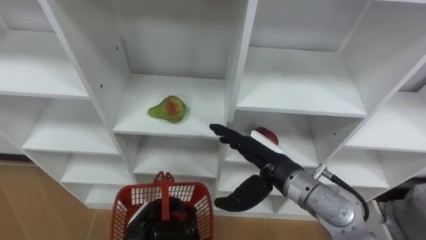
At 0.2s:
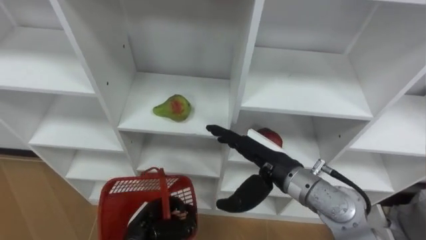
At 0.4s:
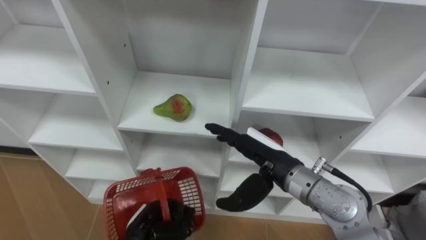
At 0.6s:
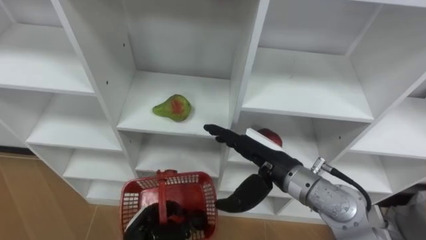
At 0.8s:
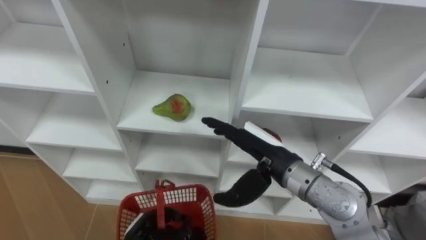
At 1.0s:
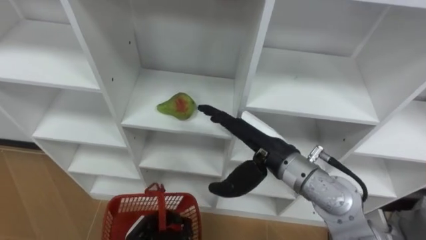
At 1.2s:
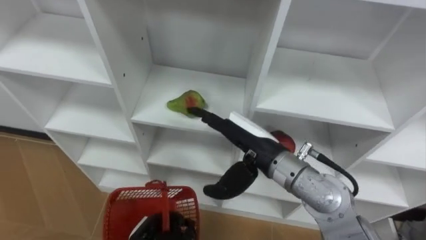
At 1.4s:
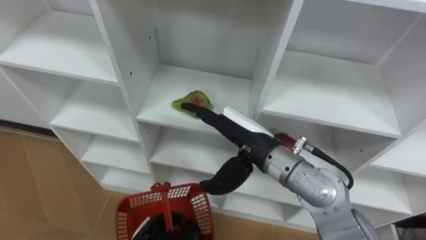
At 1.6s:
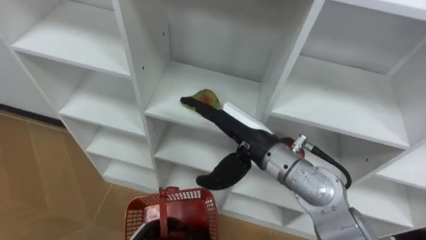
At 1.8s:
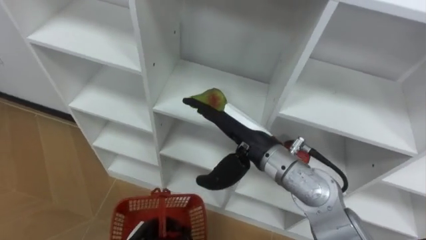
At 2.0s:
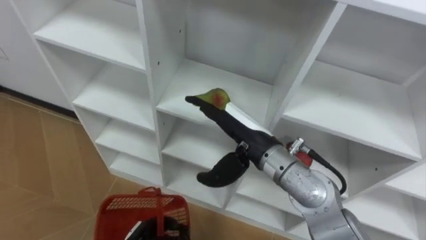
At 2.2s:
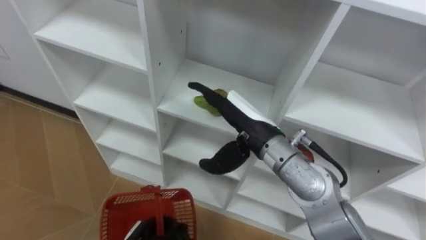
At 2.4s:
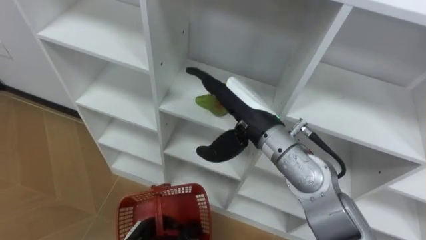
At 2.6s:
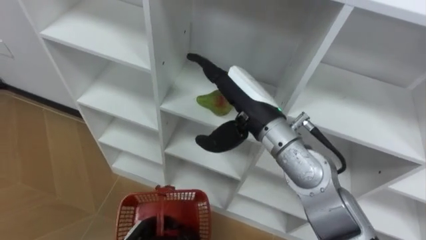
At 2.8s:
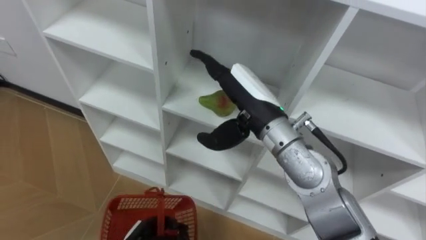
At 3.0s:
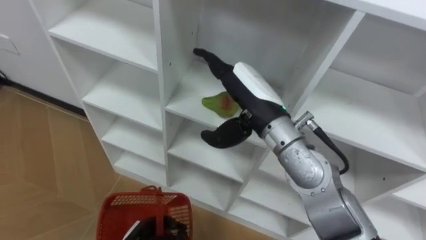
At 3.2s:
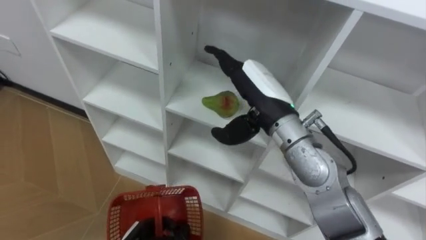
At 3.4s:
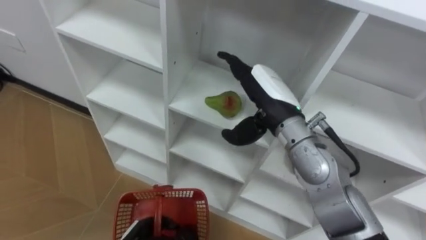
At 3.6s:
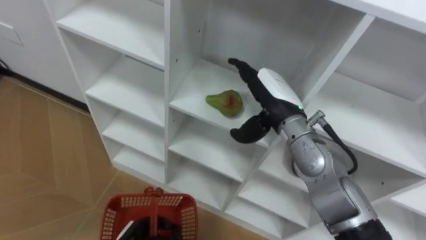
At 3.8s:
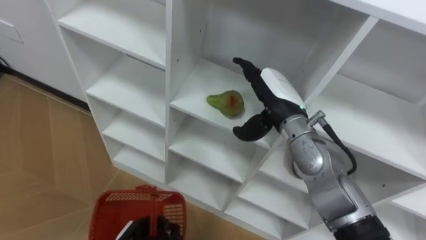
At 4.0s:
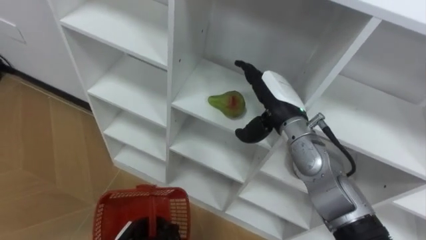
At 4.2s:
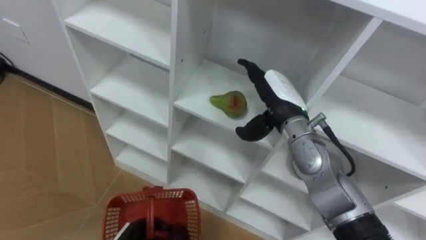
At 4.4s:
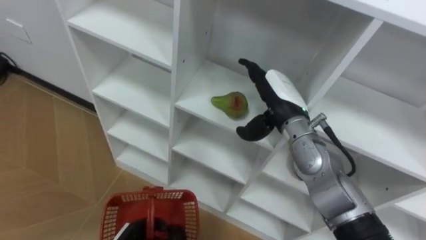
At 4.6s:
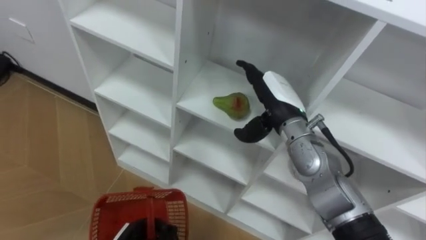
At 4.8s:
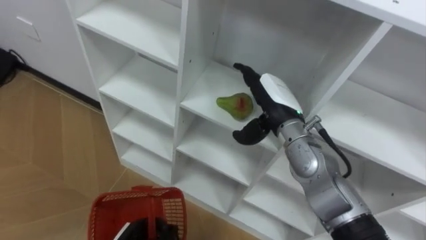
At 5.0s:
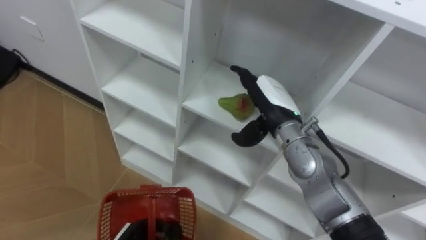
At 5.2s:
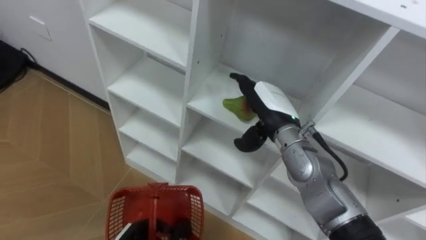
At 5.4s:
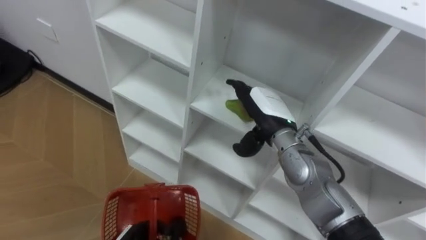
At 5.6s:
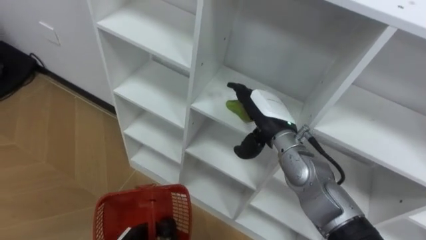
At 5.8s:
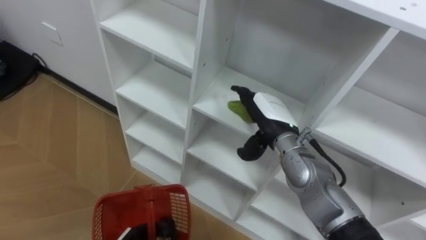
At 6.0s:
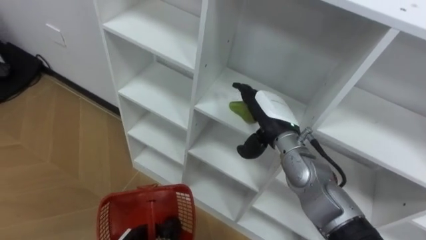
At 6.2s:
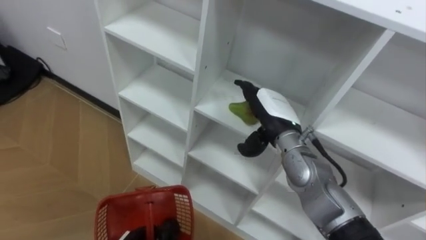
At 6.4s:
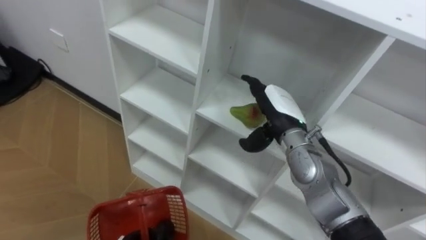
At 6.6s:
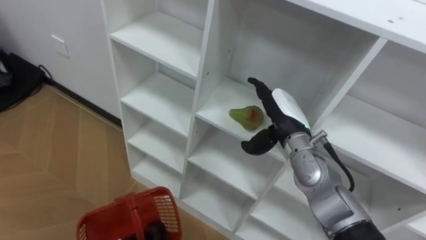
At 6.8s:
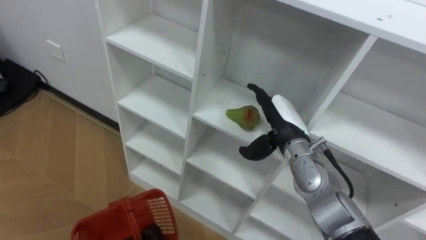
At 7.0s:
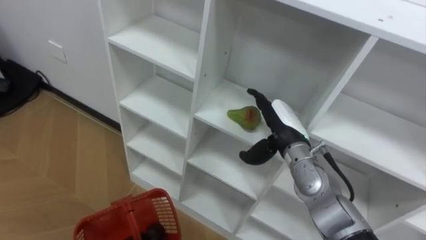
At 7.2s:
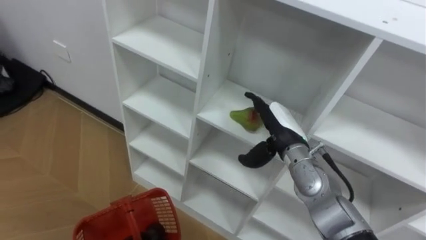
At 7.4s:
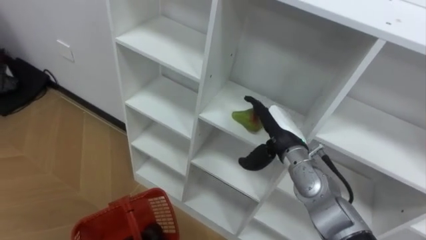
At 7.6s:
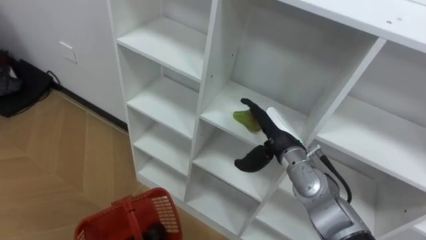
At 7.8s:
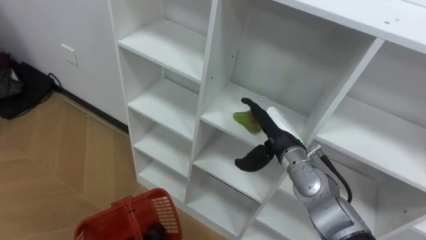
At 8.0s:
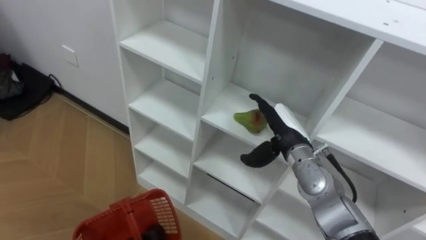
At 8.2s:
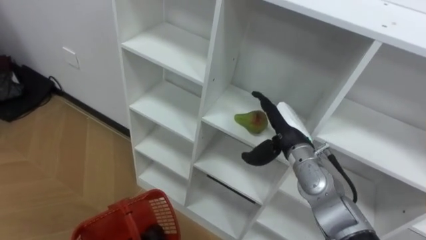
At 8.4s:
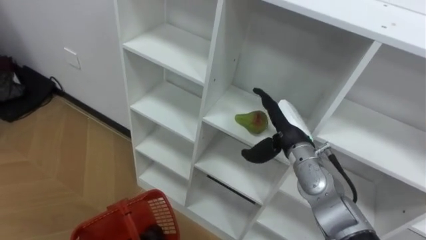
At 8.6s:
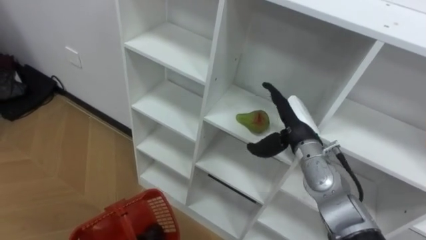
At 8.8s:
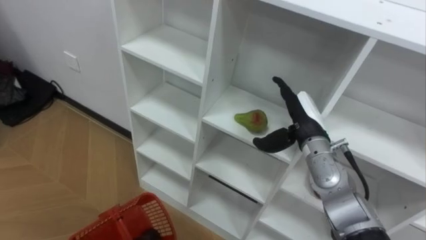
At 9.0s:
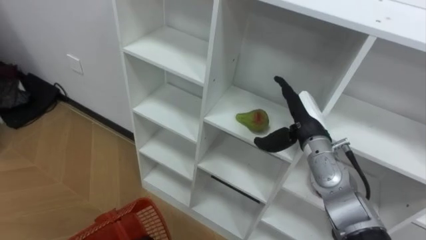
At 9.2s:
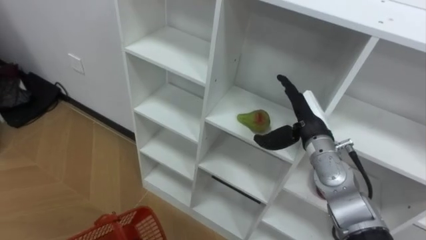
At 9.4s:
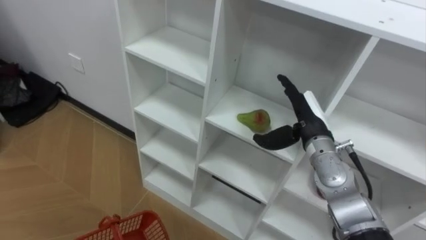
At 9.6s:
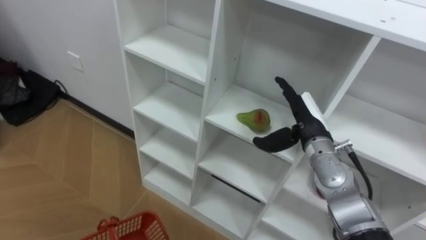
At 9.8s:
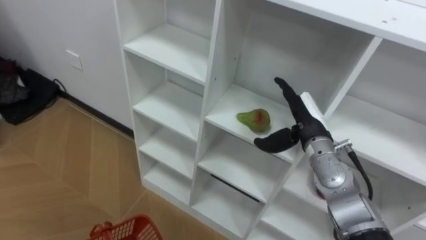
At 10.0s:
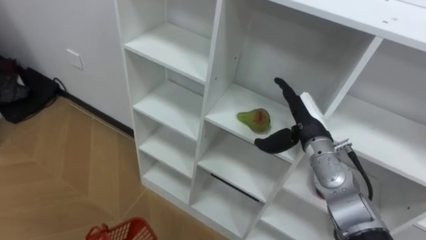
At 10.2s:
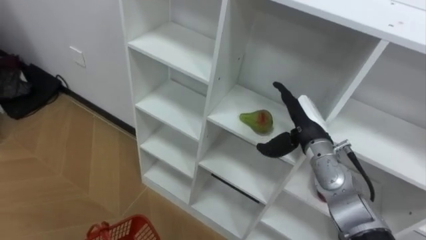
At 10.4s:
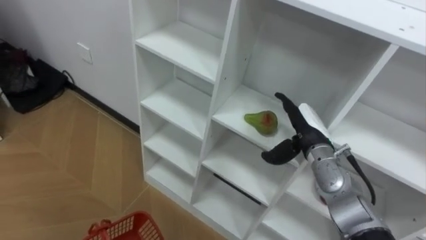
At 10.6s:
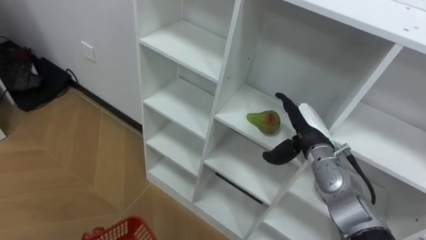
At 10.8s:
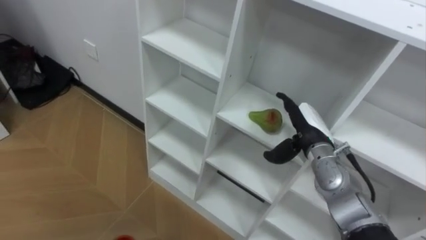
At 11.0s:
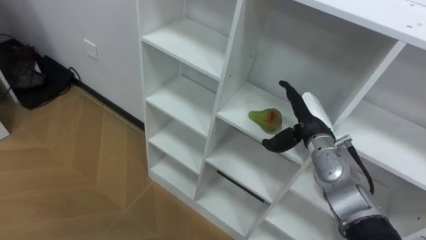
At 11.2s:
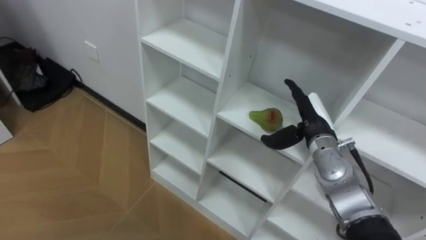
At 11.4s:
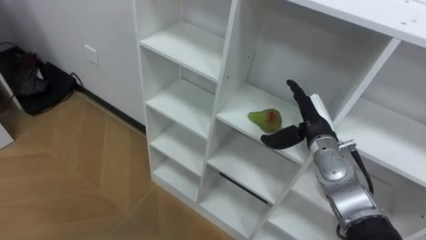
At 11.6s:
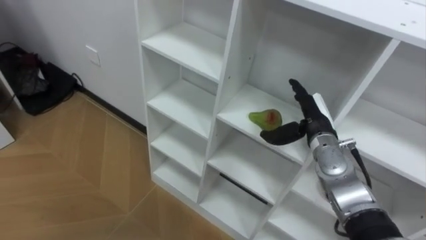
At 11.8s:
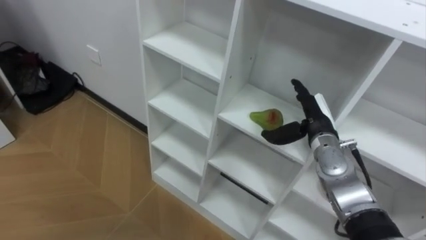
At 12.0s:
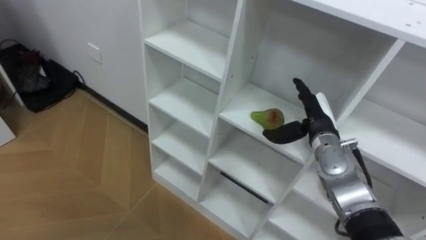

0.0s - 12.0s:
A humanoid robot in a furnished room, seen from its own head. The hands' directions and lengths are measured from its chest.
Task of the whole recording: Hold the basket and collect the fruits from 3 different cells of the closet into it.
0.0s - 1.6s: The right hand travels upward by approximately 5 cm.
1.6s - 3.0s: The right hand moves roughly 5 cm.
3.0s - 4.4s: The right hand heads downward and to the right, covering some 10 cm.
7.6s - 9.0s: The right hand is displaced to the right by about 5 cm.

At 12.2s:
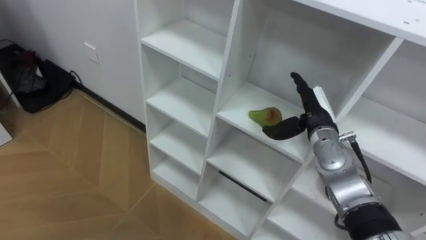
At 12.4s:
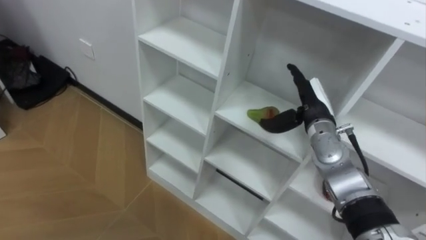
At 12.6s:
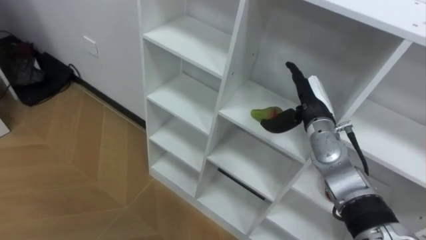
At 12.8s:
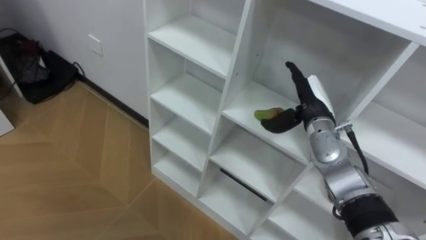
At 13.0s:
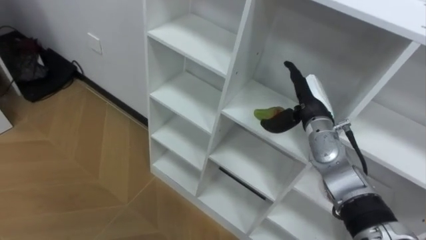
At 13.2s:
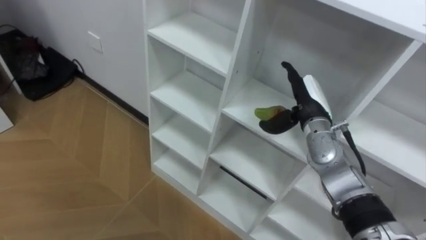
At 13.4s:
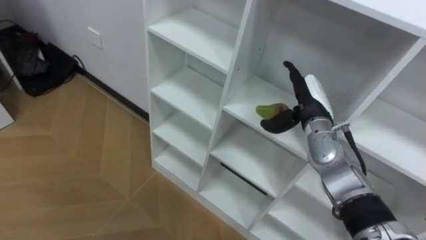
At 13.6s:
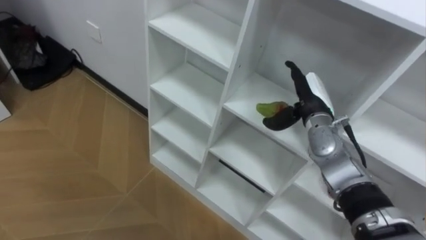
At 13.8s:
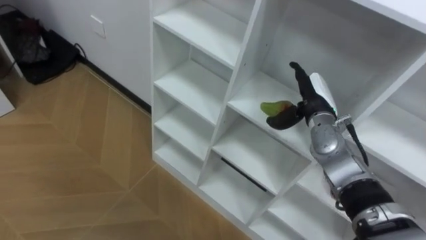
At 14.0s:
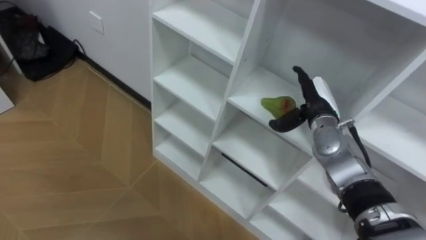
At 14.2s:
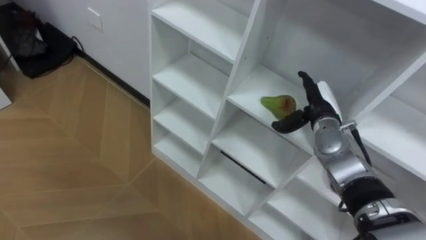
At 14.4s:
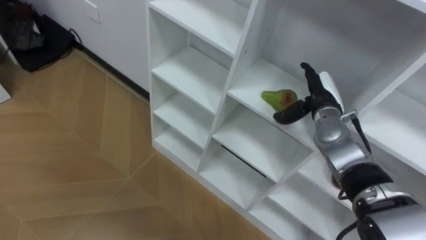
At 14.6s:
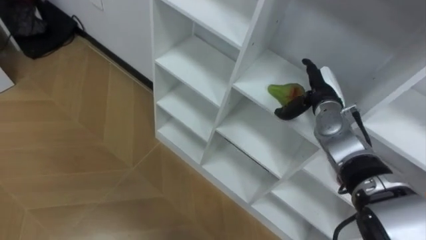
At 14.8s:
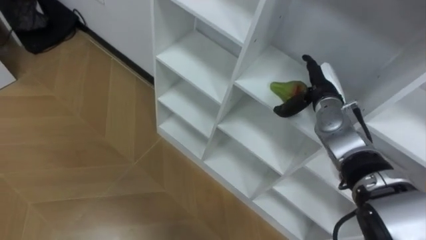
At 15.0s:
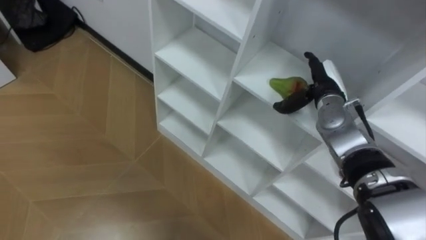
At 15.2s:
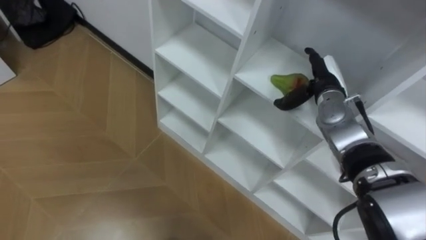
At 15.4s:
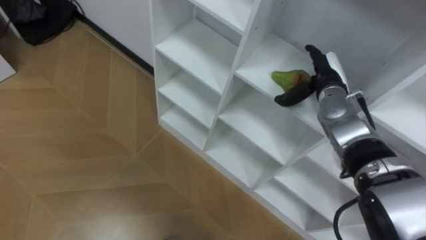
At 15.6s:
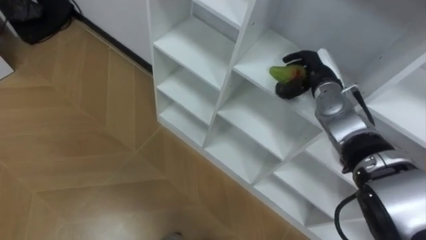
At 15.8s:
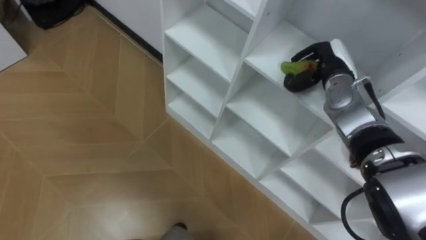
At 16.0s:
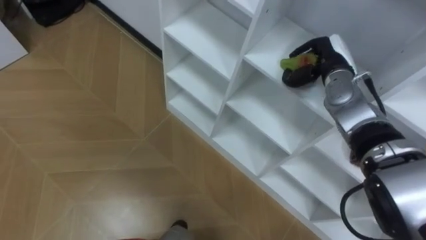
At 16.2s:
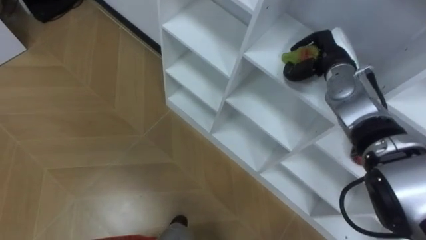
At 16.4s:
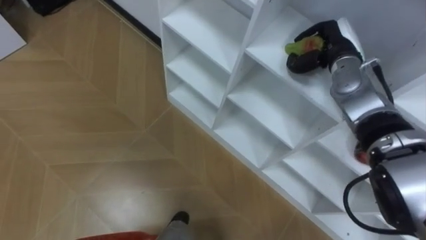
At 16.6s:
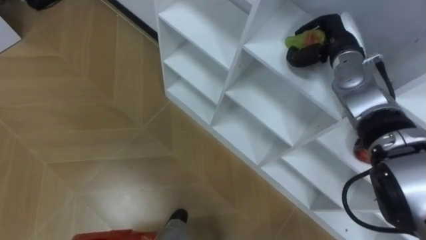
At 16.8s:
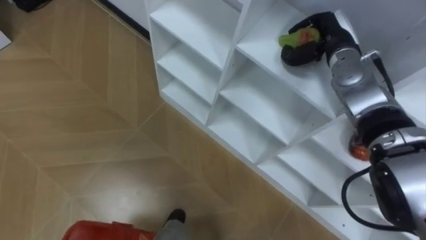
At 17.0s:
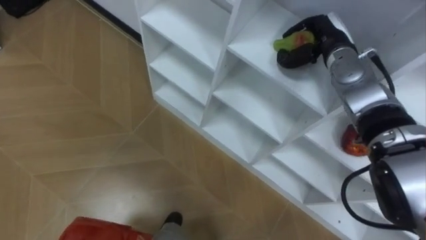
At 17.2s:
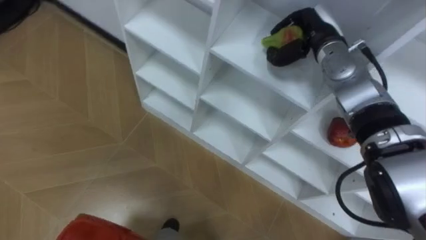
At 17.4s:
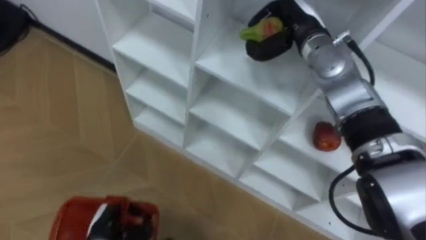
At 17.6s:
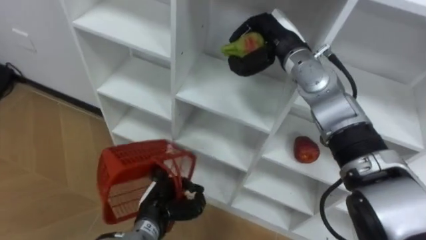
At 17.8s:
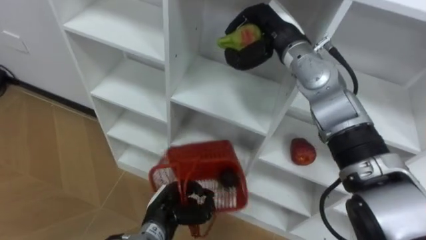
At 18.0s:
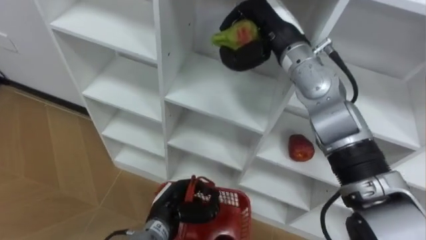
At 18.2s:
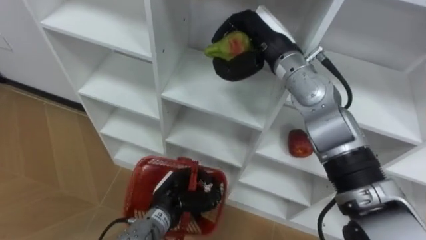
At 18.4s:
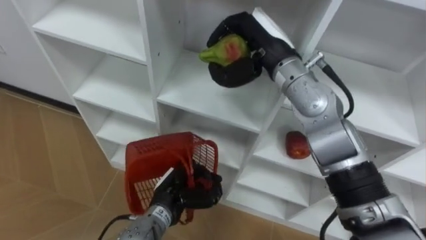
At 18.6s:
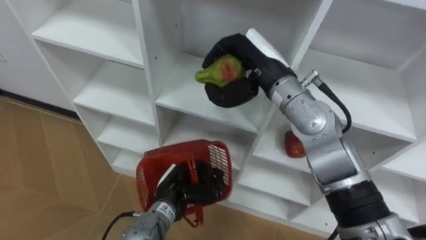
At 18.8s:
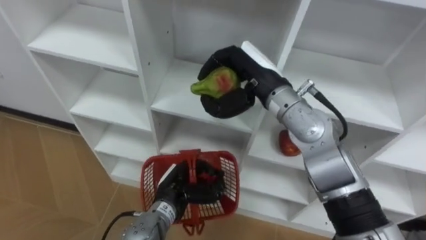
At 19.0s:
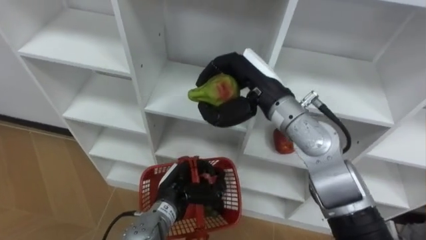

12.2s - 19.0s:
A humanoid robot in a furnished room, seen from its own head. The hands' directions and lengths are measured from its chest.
Task of the whole recording: Hold the basket and collect the fruits from 3 different cells of the closet into it.
15.0s - 16.2s: The right hand travels upward by about 5 cm, and closes.
16.2s - 17.6s: The right hand is displaced to the left by approximately 10 cm.
17.6s - 19.0s: The right hand goes some 10 cm backward. Meanwhile the left hand travels to the right by about 5 cm.
